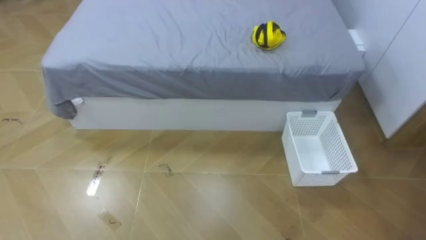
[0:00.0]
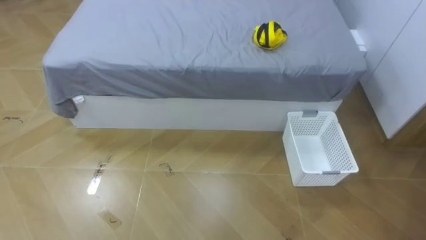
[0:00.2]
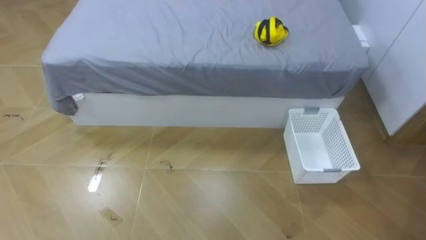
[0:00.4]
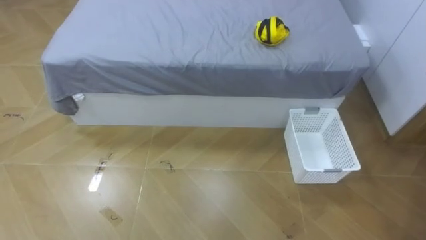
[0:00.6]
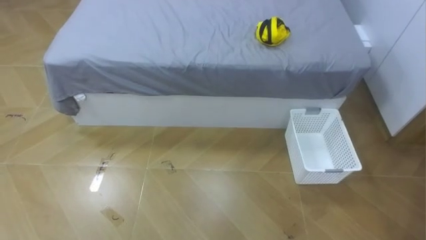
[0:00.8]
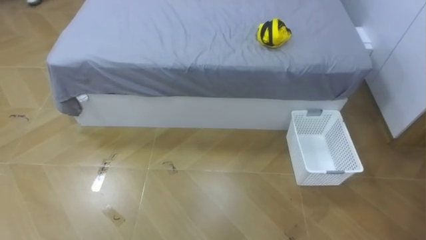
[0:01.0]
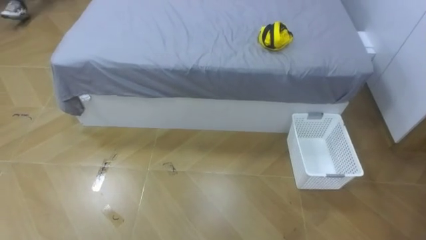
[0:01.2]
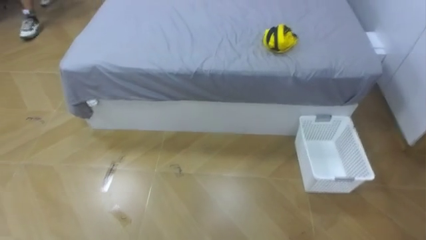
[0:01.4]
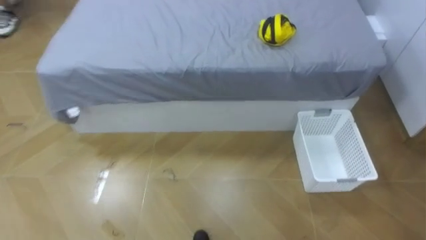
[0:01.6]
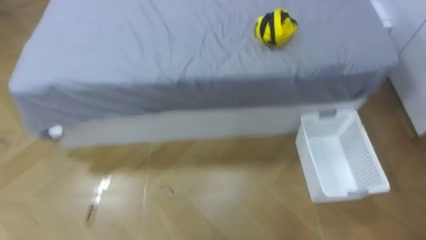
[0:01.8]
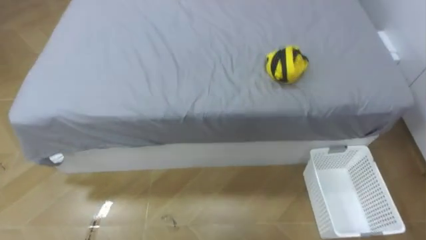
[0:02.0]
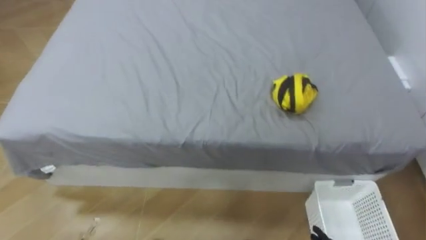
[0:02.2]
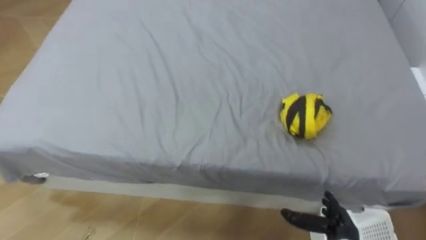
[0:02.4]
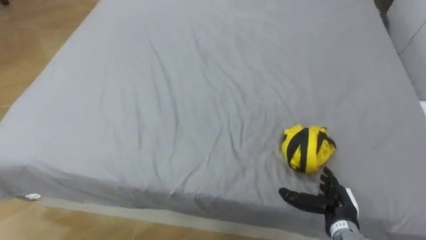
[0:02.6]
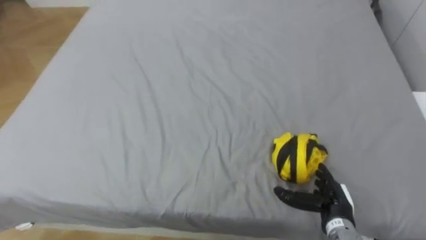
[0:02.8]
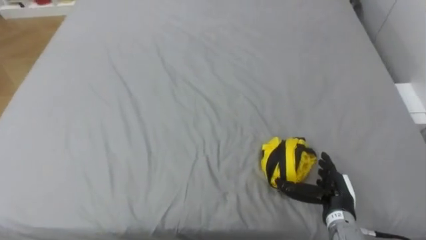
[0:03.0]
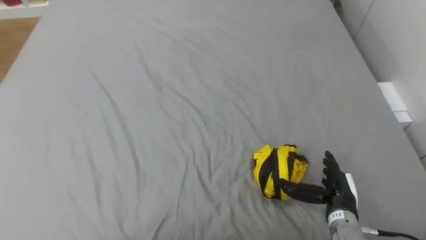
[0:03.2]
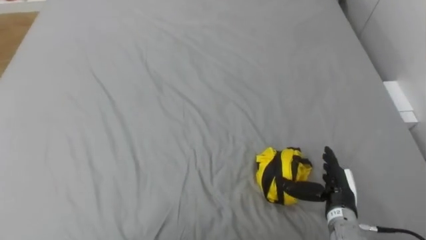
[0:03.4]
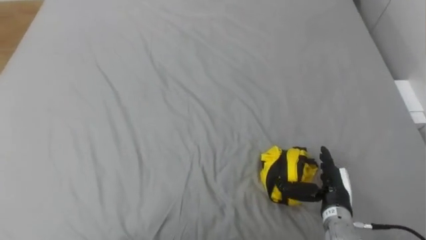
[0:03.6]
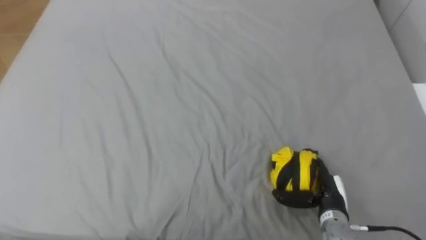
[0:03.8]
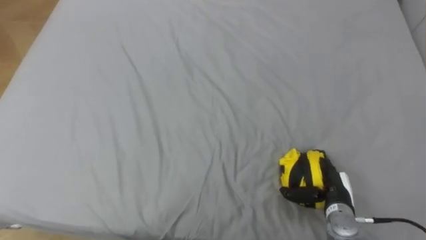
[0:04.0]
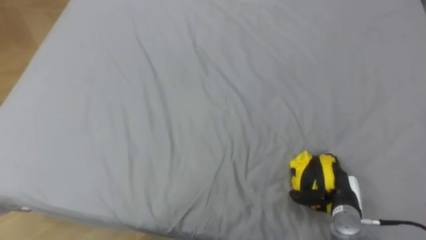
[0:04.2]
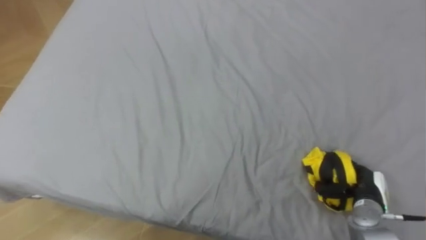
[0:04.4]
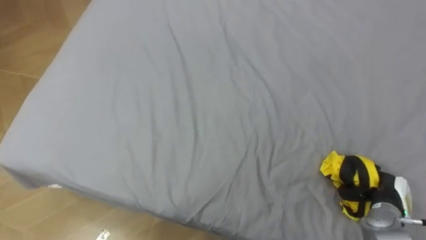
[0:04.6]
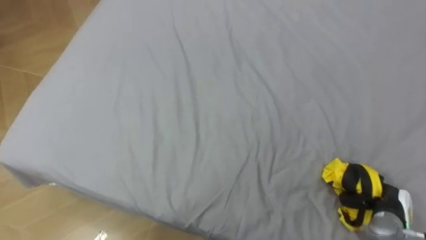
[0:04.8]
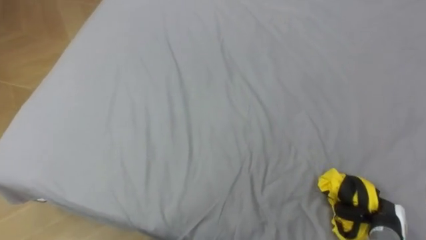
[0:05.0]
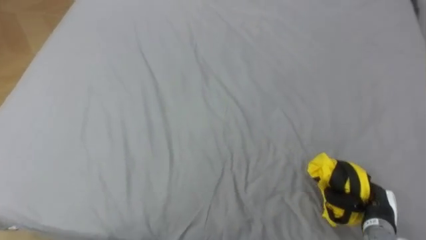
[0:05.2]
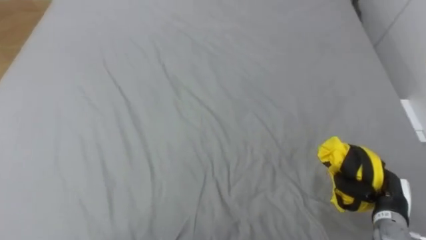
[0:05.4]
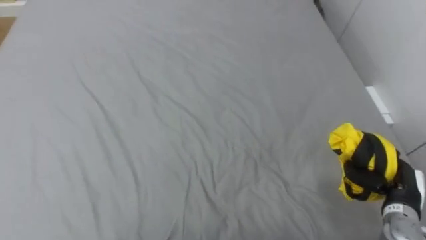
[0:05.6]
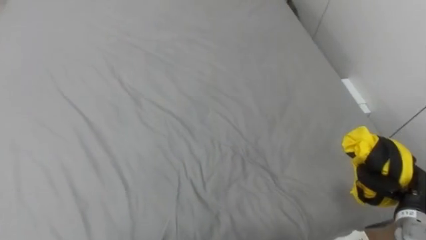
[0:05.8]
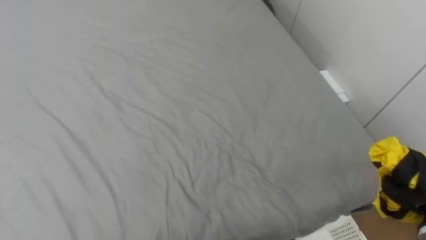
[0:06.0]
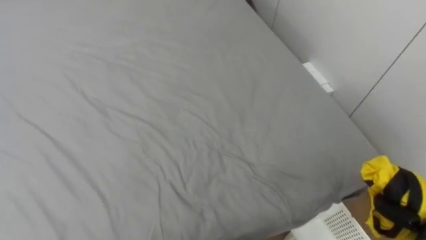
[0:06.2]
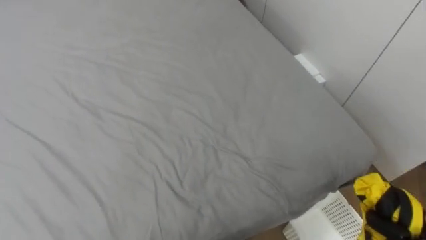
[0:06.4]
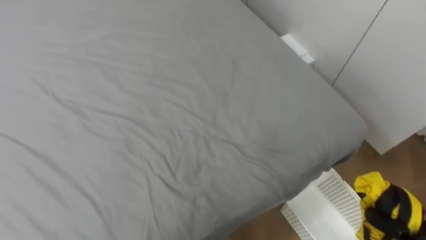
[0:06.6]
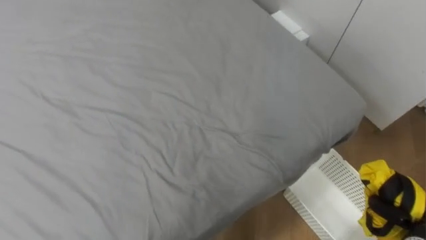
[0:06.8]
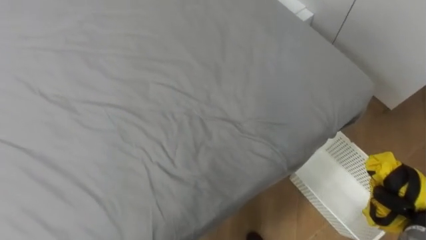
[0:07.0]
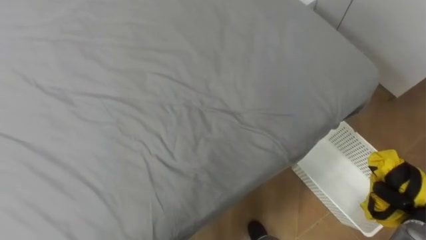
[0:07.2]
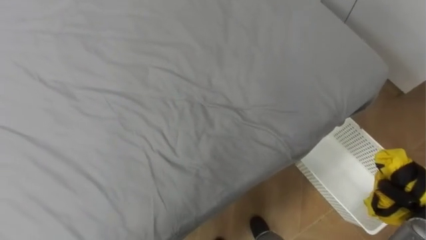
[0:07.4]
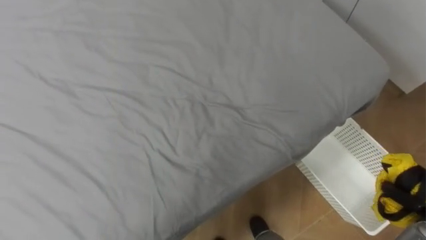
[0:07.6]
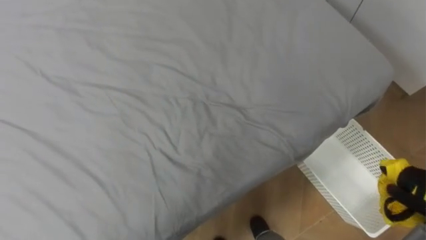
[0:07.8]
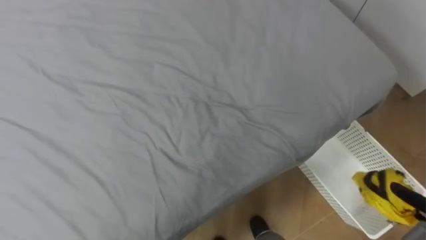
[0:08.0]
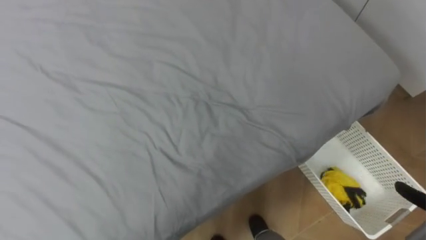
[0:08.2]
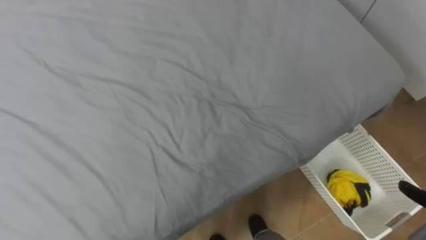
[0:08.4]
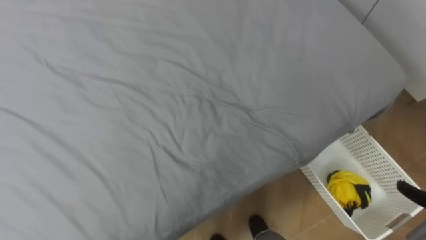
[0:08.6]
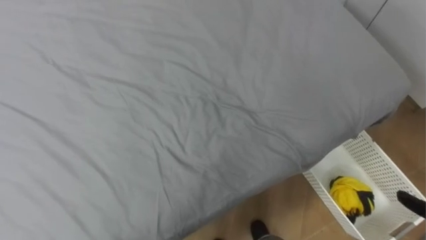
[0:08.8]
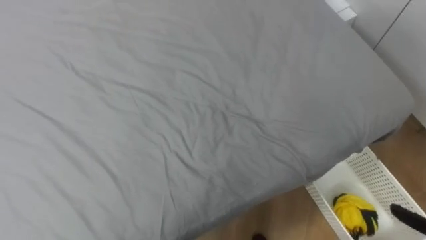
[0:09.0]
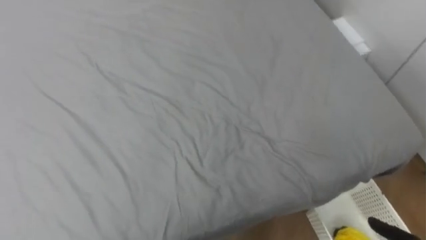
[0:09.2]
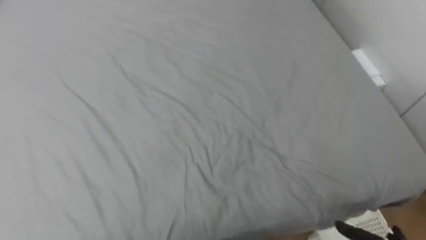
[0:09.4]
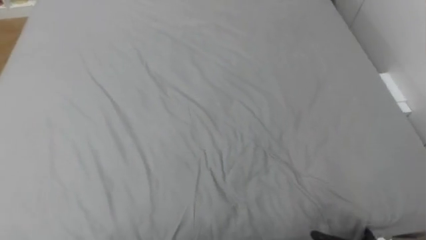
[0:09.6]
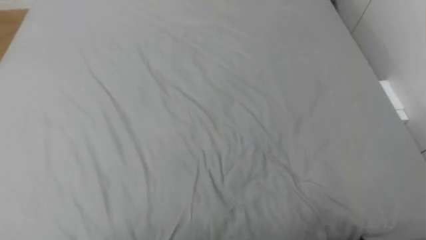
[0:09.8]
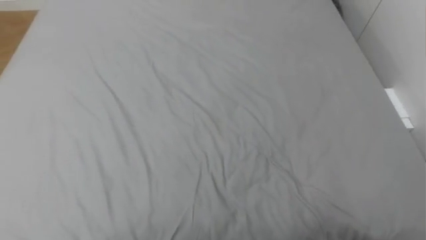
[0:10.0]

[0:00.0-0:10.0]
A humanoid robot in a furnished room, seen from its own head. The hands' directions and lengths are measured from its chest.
Task of the whole recording: Pick up the yellow clothes on the bed and place them into the white basket on the right.
0:04.2 to 0:05.8: The right hand goes about 15 cm to the right and upward, and closes its fingers.
0:08.6 to 0:10.0: The robot turns to its left by roughly 20 degrees.

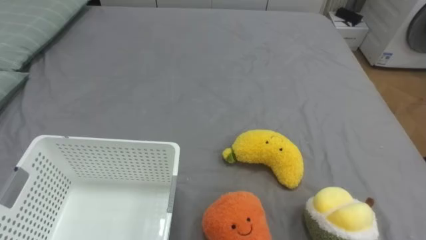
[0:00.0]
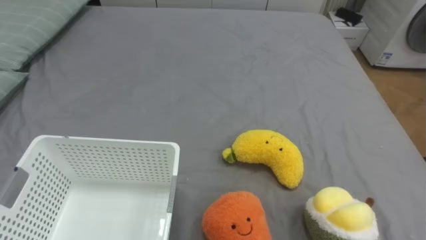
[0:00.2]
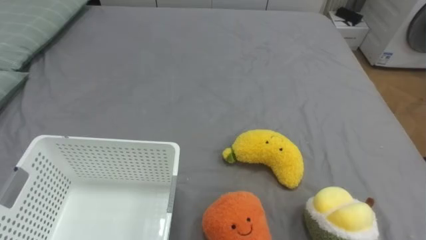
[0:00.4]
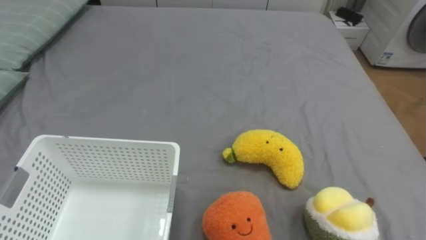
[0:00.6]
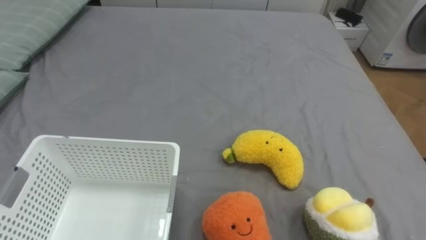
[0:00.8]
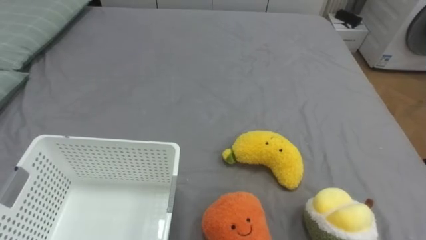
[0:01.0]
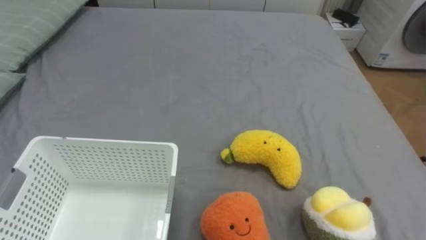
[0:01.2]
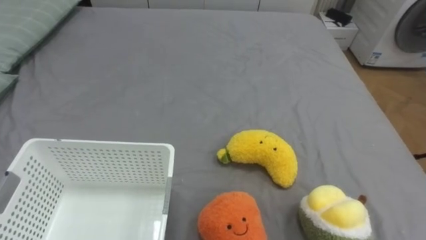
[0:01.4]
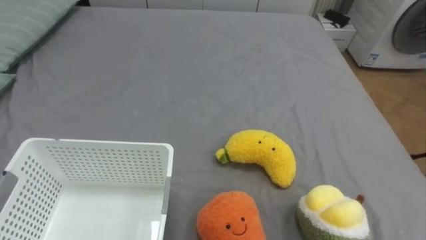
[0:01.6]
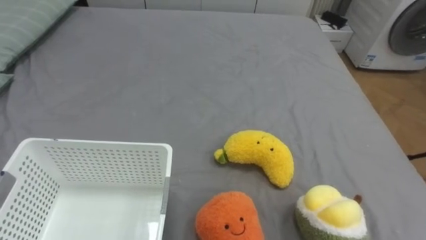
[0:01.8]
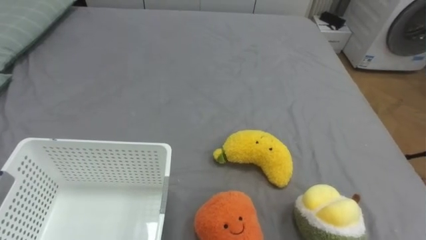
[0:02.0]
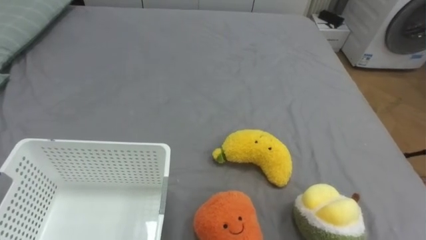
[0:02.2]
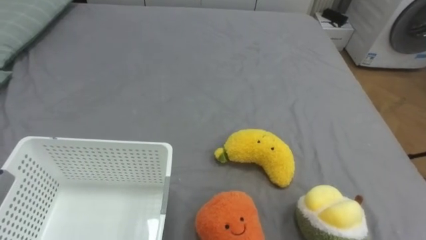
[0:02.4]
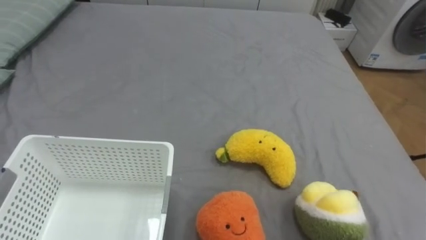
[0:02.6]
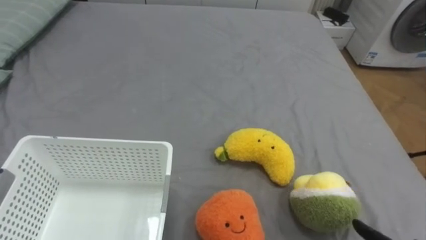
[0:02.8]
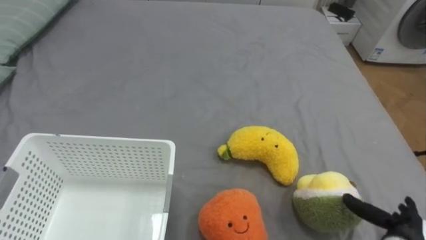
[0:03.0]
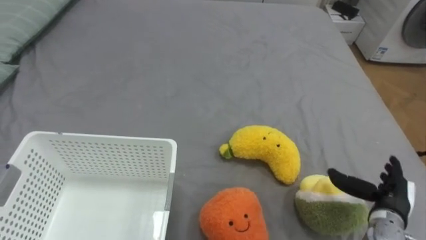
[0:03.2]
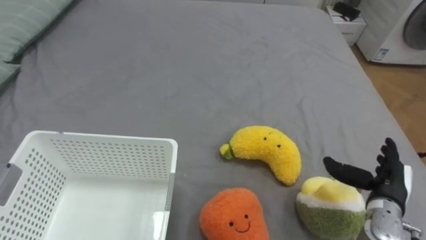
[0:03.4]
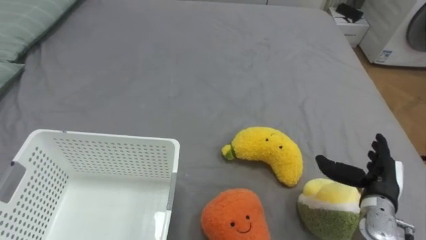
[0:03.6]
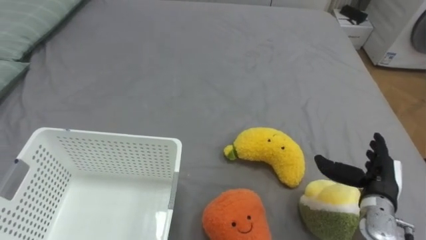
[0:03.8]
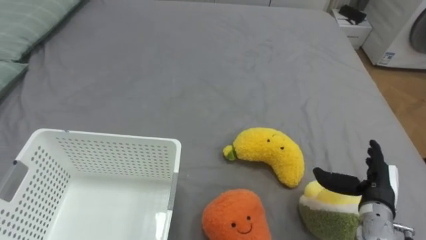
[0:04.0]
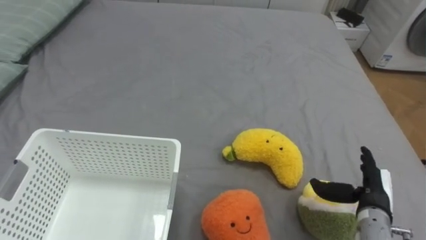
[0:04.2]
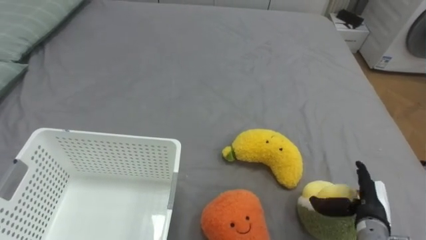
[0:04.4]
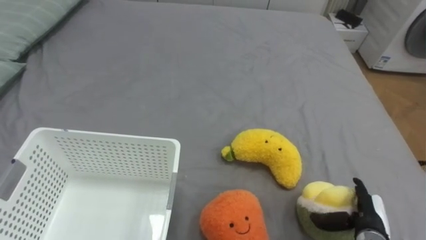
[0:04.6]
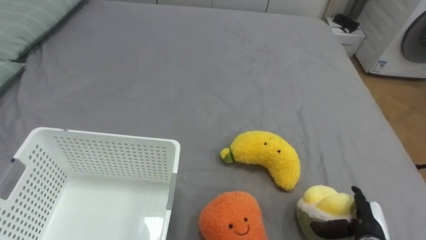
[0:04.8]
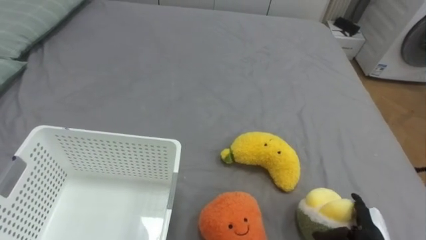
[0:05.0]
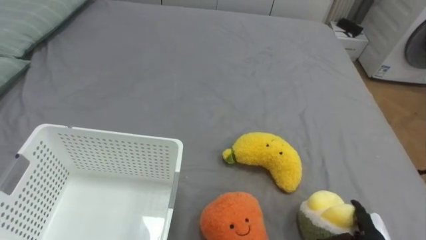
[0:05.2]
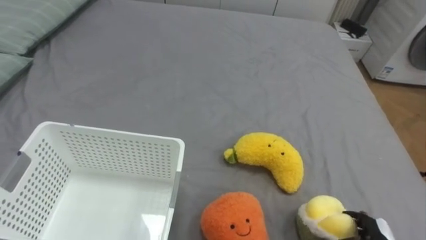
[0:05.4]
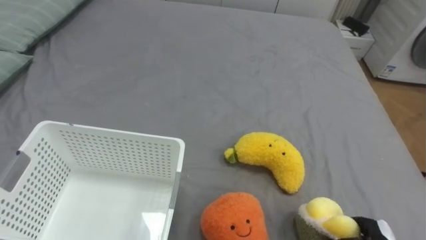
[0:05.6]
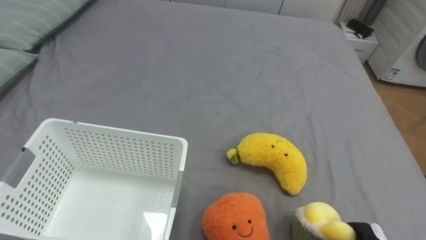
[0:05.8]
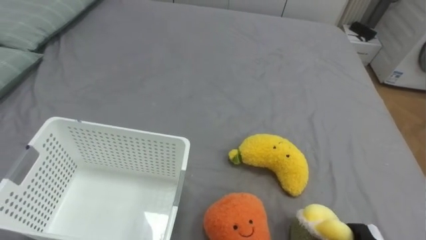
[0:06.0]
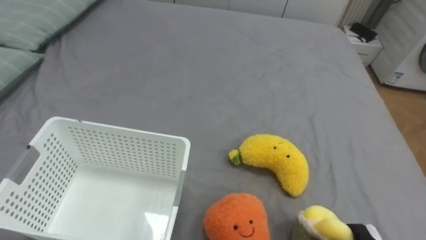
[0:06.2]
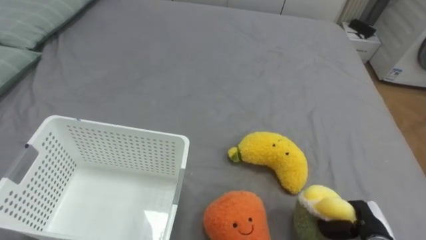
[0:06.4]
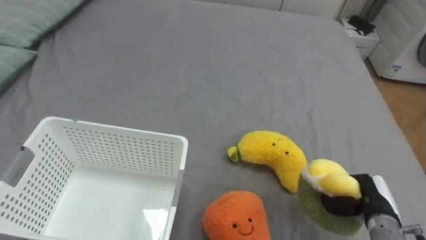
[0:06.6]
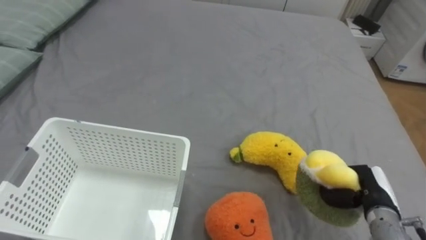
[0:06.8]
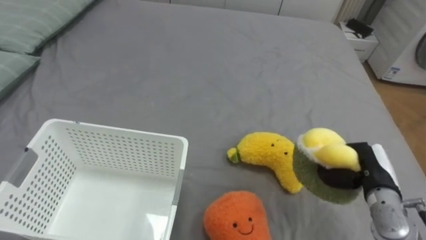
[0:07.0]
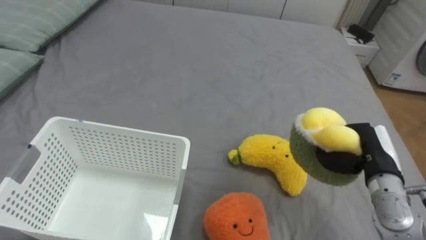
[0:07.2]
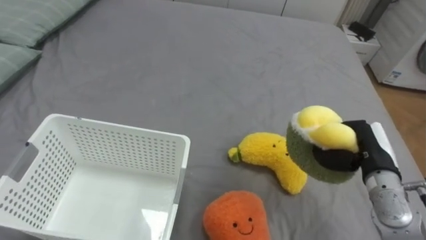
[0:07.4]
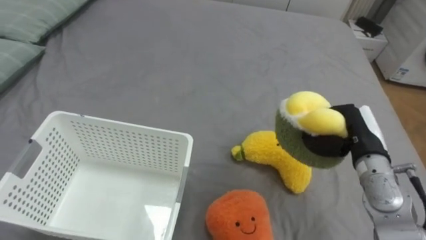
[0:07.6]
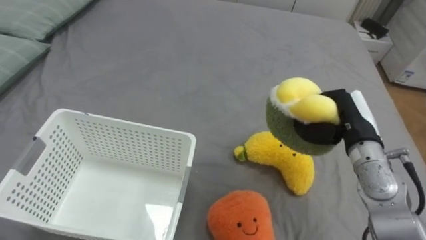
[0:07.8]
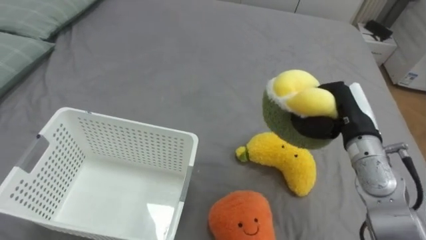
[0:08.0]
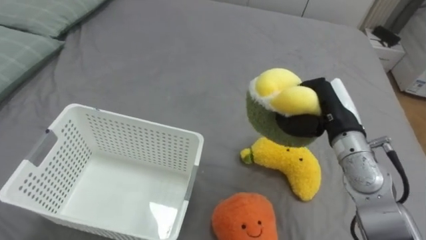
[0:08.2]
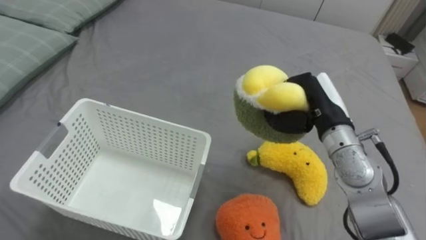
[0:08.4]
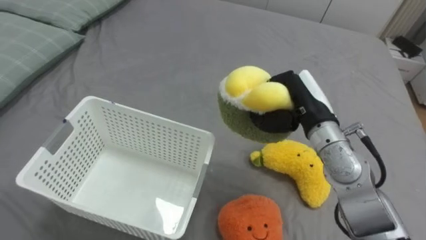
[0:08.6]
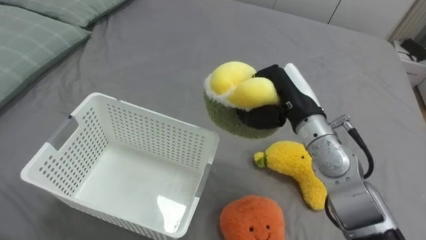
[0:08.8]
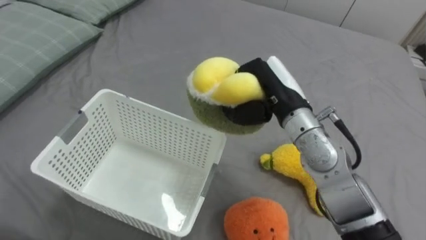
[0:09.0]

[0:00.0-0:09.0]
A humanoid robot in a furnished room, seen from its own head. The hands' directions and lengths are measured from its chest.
Task of the whole recording: Put the toys on the bed into the basket on the left.
0:03.0 to 0:04.4: The right hand goes some 5 cm forward and to the left.
0:07.6 to 0:09.0: The right hand heads to the left and upward, covering roughly 20 cm.
